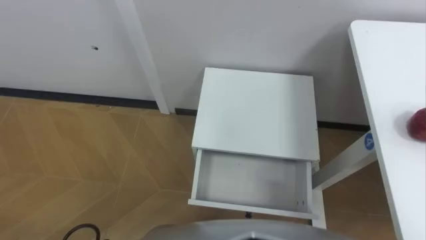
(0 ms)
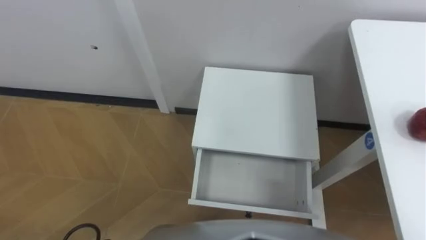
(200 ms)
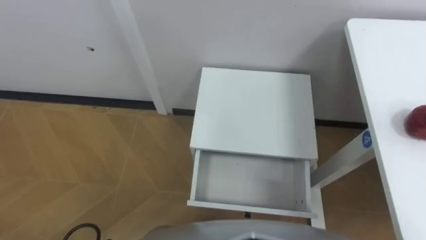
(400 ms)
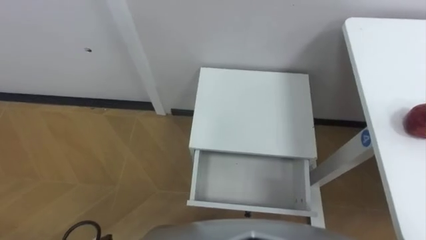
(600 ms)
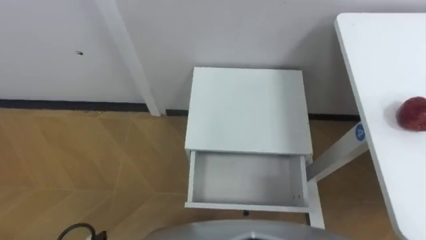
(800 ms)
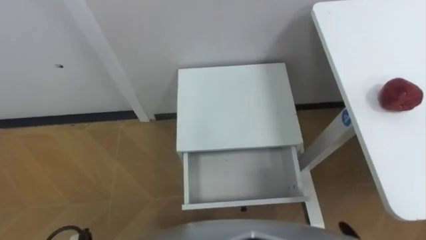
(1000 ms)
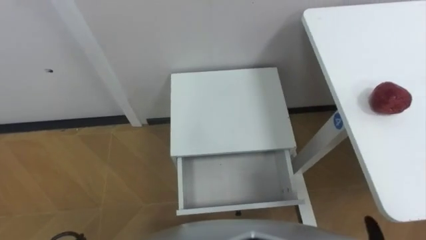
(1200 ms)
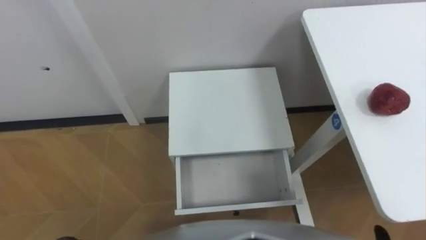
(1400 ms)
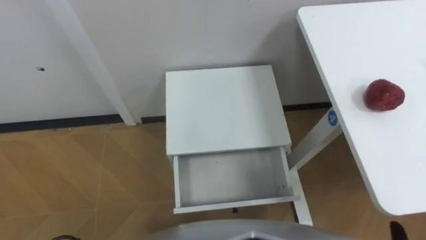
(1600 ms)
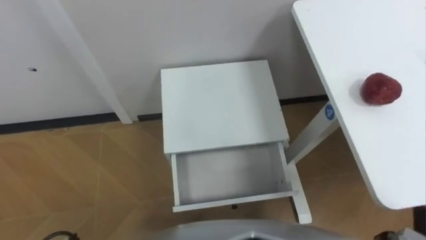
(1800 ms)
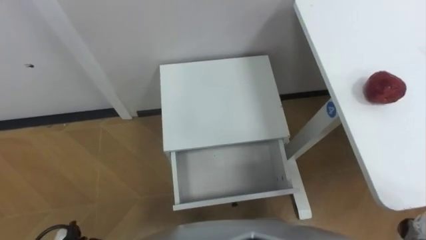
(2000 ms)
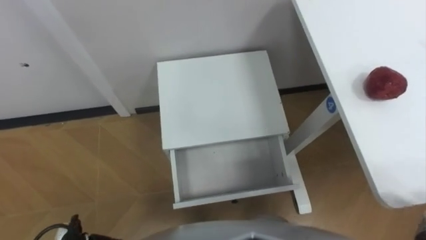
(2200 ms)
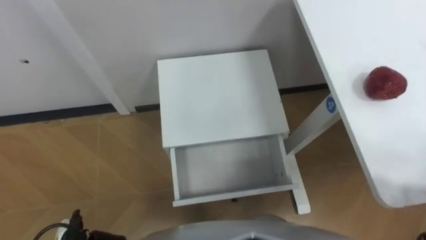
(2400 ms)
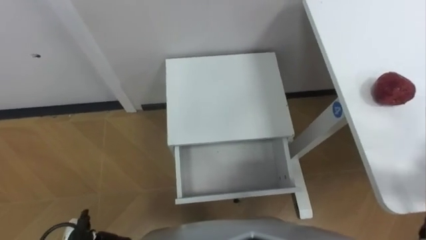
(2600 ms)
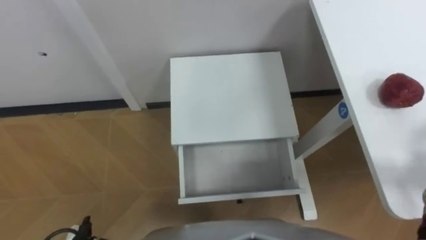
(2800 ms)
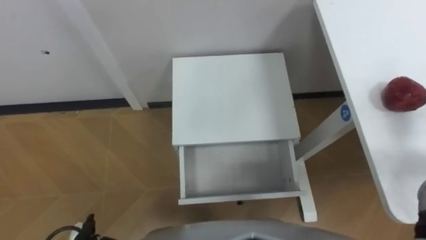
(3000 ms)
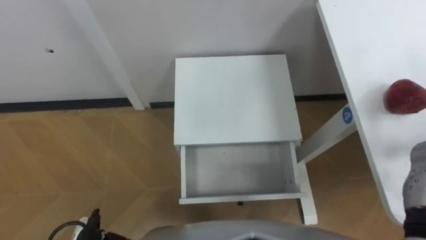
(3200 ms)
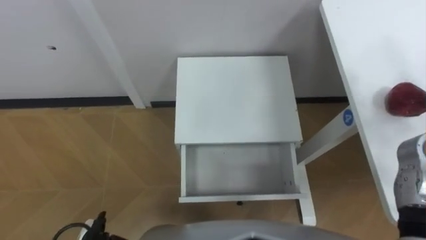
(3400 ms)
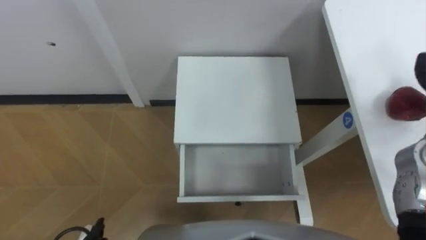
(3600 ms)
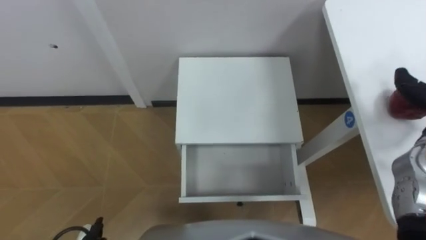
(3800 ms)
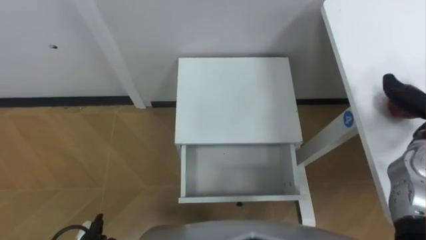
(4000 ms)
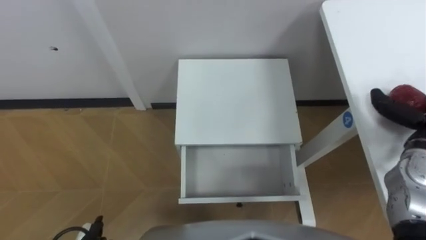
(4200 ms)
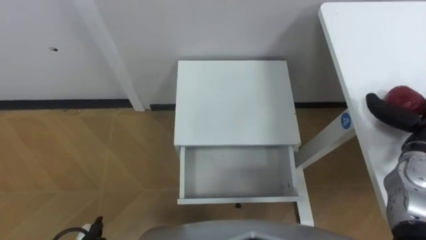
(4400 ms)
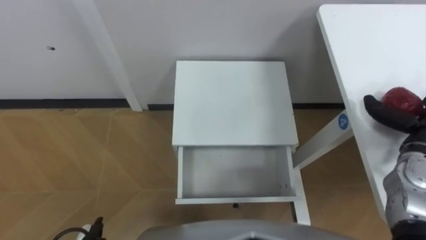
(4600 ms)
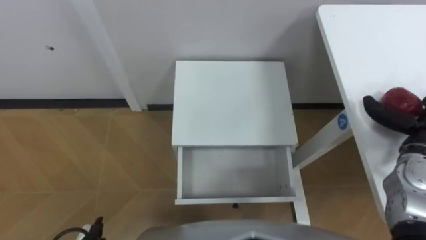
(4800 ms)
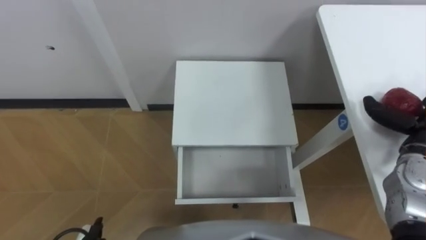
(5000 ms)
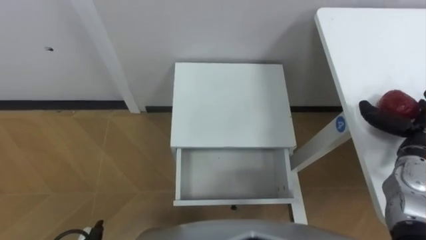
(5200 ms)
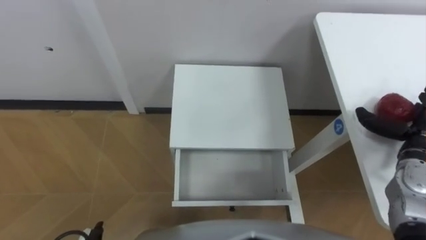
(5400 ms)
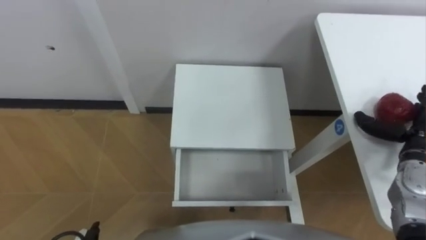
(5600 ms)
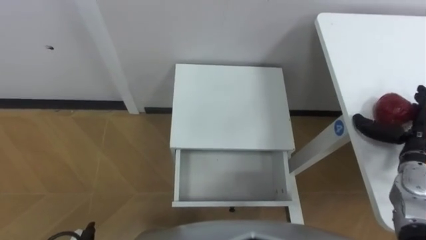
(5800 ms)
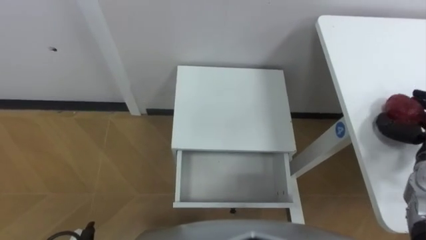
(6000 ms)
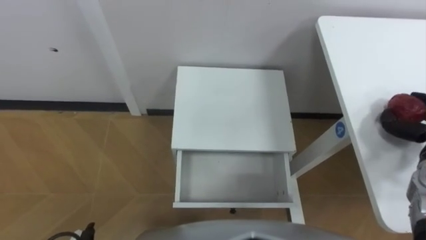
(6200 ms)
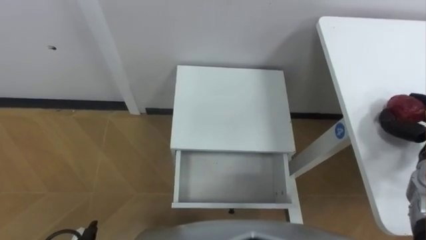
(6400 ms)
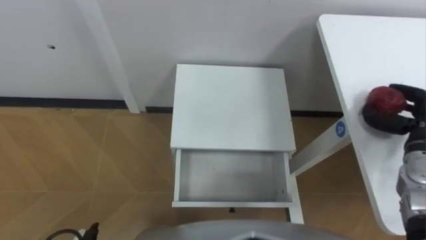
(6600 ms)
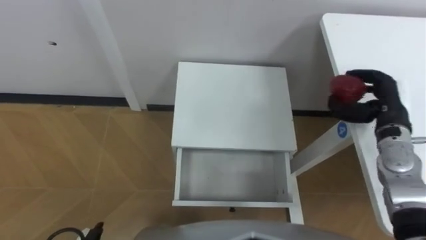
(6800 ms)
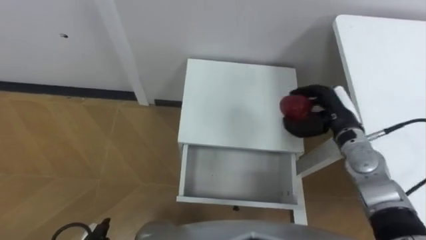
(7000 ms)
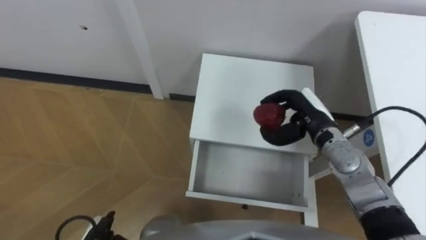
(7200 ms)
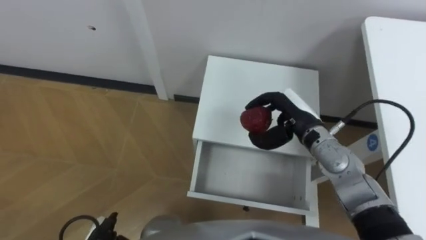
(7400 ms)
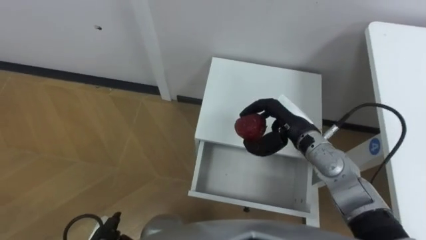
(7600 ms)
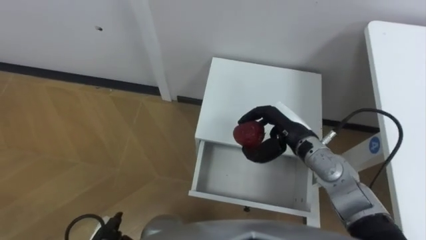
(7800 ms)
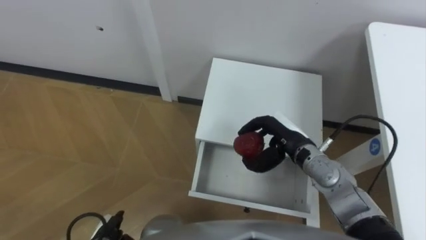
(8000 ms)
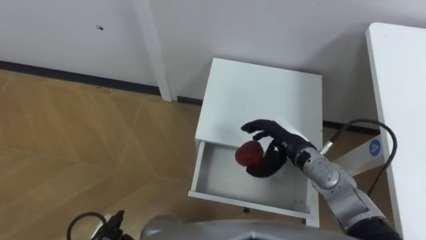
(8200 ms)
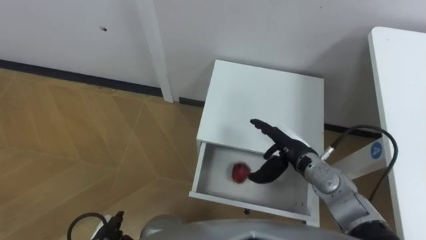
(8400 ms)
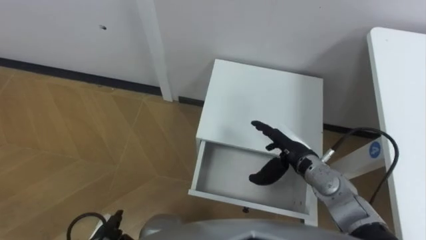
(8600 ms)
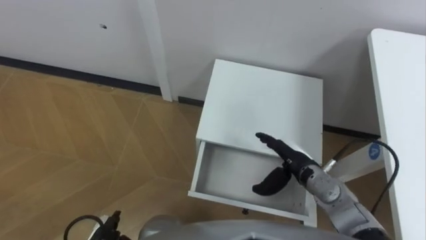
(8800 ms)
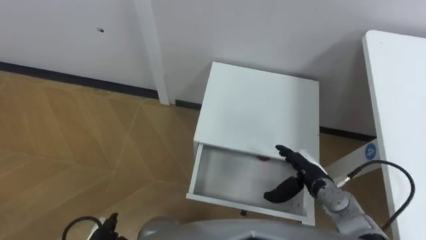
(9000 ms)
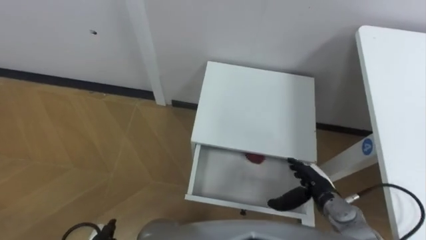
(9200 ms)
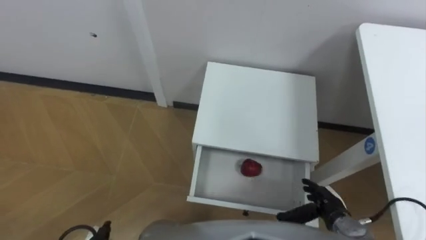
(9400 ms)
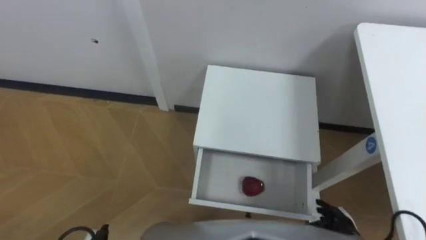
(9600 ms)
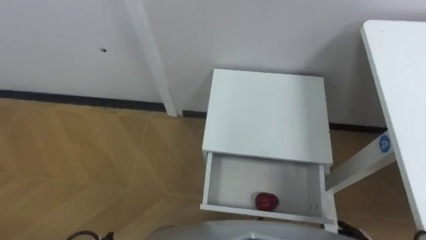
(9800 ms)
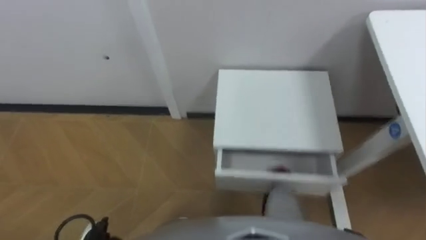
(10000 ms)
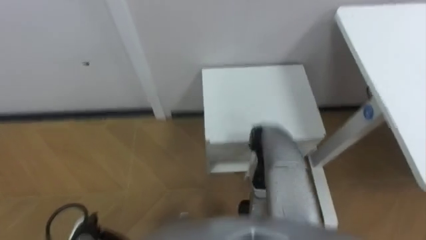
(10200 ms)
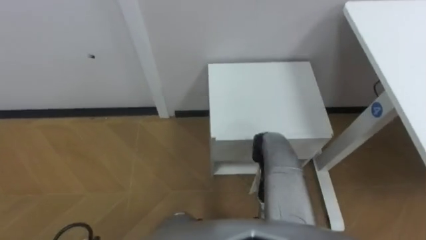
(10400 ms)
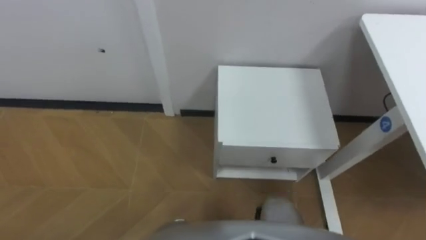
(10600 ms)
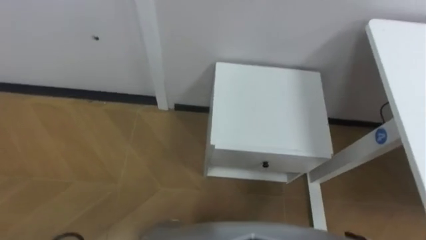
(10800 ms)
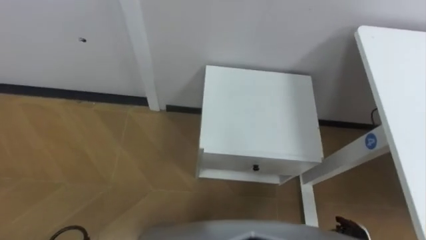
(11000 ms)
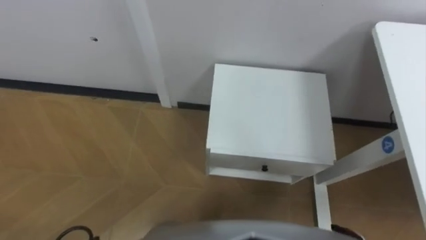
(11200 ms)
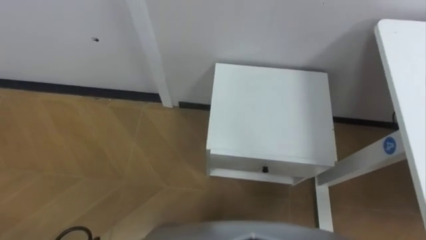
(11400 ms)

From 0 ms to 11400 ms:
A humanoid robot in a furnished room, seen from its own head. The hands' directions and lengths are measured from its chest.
Task of the whole recording: Pick up the apple from the table, put it in the drawer, and close the drawer with leg.
From 7200 ms to 8600 ms: The right hand goes roughly 5 cm downward and backward, and opens its fingers.

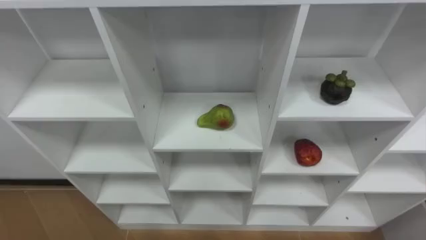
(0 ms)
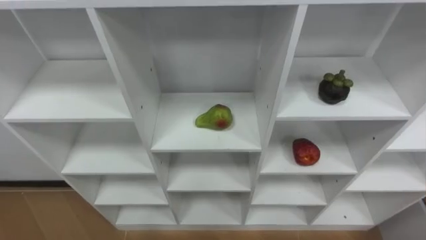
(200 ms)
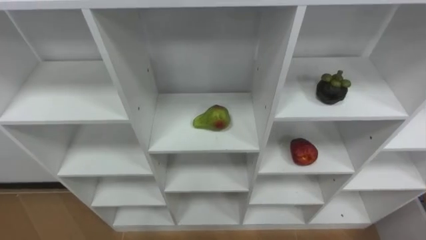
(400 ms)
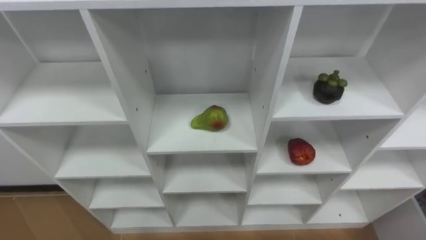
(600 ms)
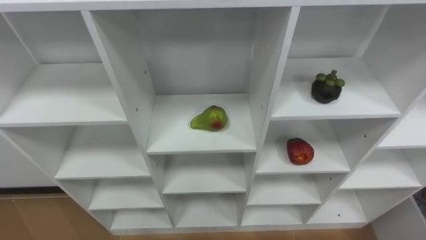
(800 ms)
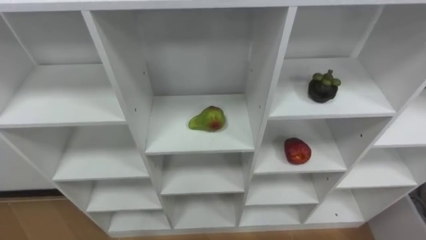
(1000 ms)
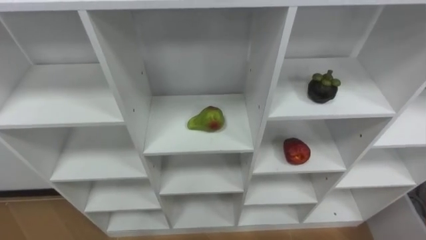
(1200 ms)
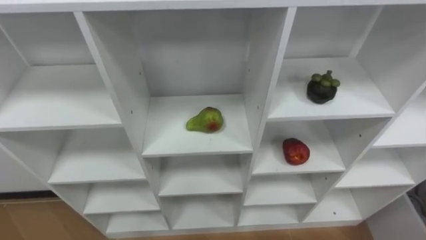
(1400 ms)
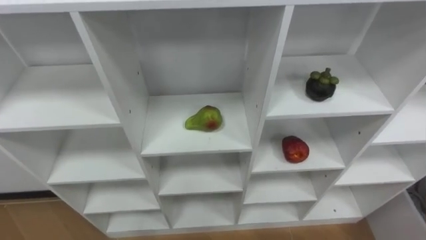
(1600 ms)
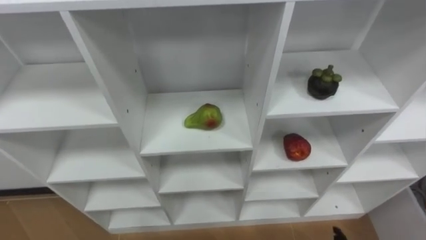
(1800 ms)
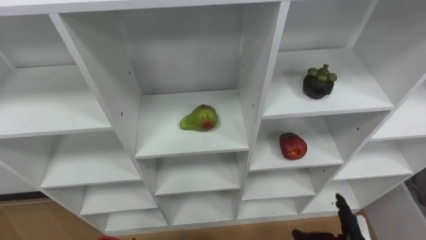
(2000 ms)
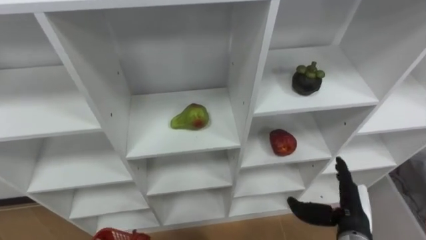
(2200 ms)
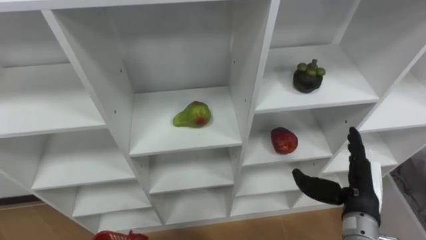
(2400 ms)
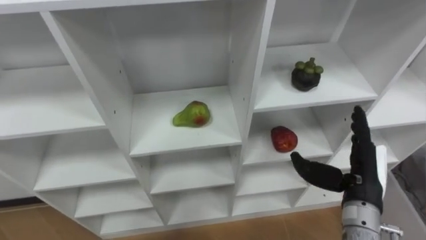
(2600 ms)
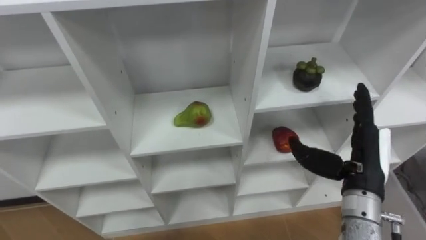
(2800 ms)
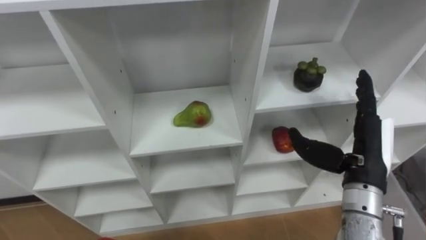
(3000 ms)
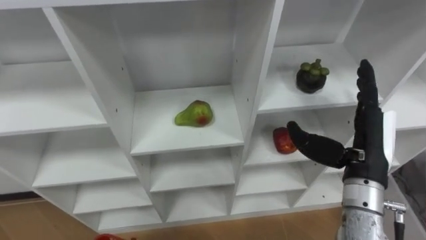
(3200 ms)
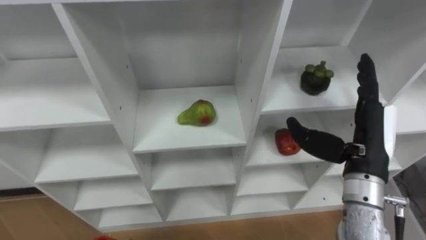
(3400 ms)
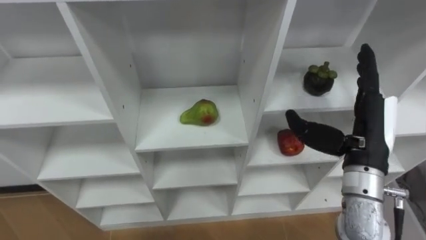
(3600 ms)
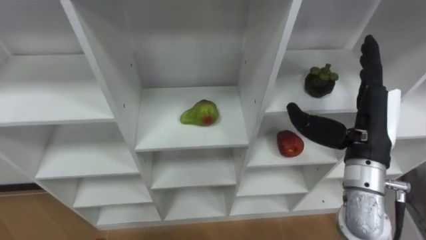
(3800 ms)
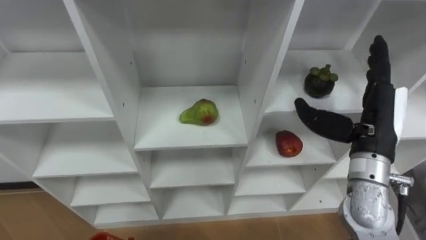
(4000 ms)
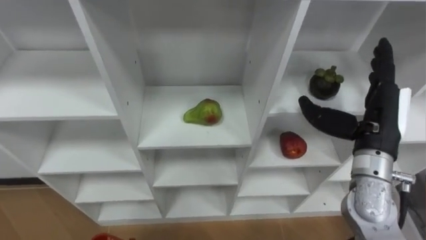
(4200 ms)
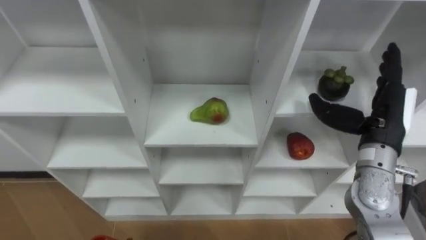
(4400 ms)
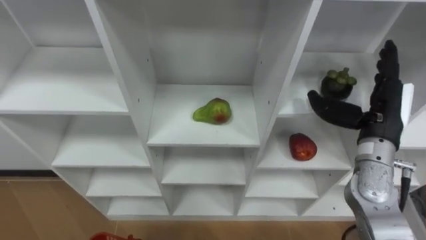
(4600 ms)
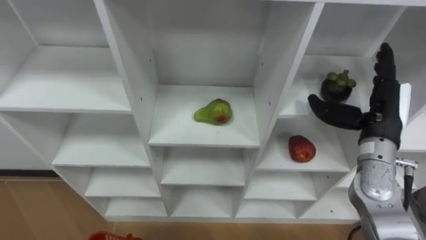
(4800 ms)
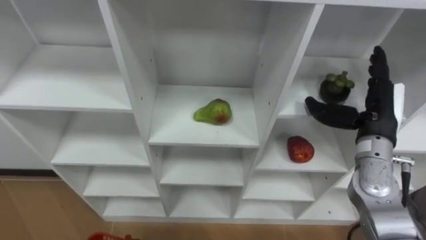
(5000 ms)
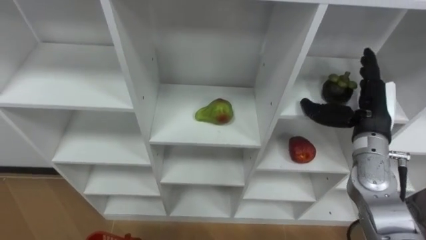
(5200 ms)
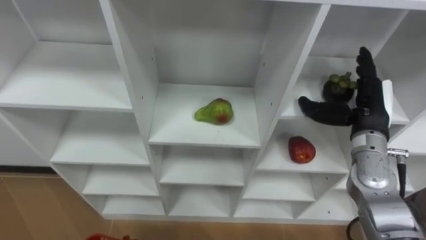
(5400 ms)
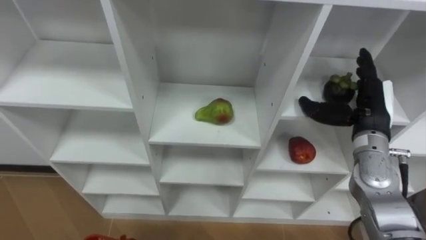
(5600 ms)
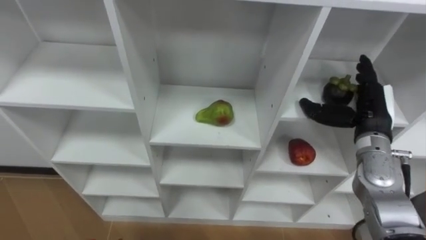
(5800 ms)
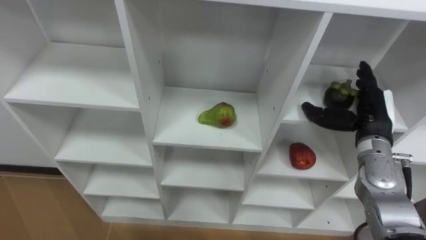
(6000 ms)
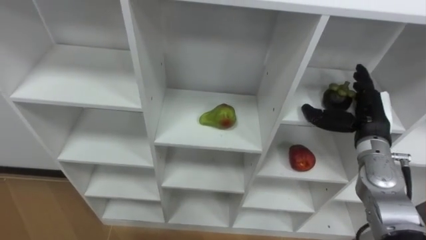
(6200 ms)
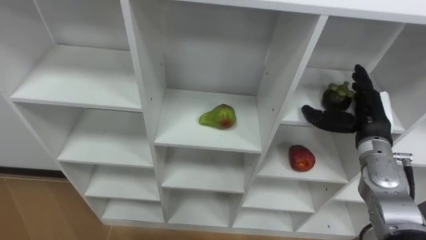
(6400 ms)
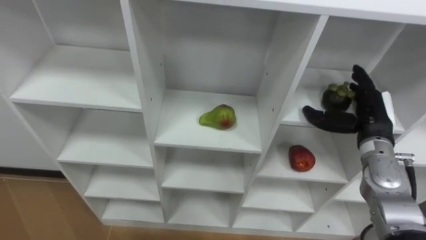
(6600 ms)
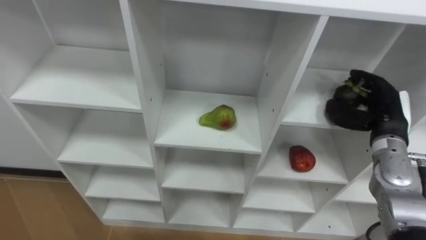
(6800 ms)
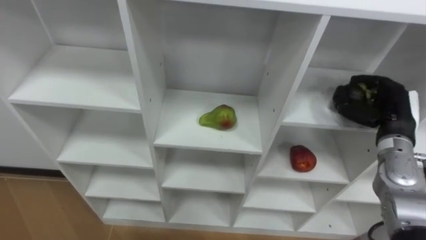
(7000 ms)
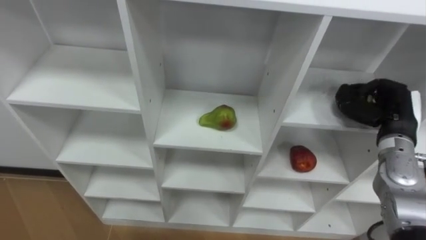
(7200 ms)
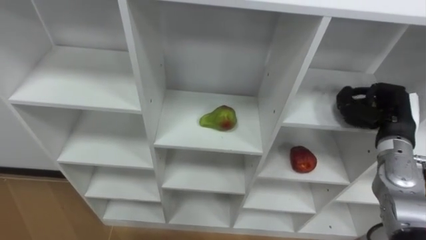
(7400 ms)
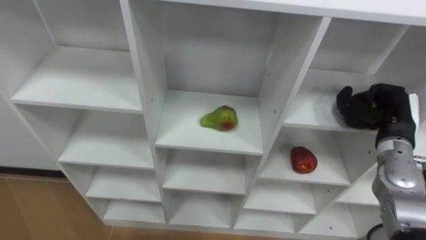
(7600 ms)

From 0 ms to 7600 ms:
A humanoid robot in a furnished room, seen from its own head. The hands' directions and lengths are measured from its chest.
Task of the whole recording: Hold the basket and collect the fruits from 3 different cells of the closet into it.
From 3000 ms to 4600 ms: The right hand travels forward by about 5 cm.
From 4600 ms to 6000 ms: The right hand ends up about 5 cm from where it was.
From 6000 ms to 7600 ms: The right hand closes its fingers.
